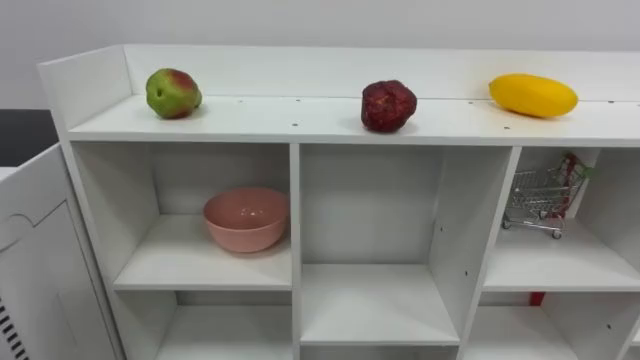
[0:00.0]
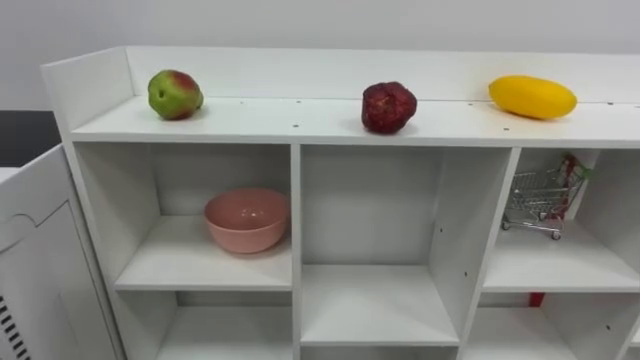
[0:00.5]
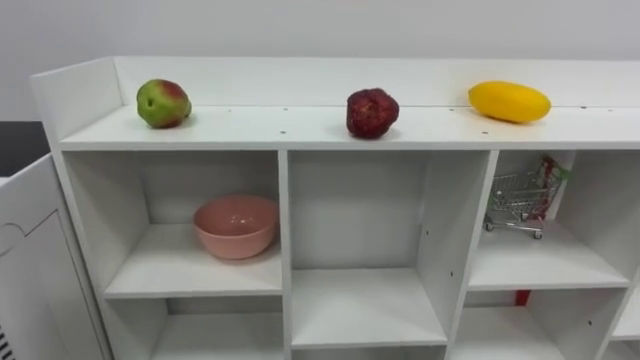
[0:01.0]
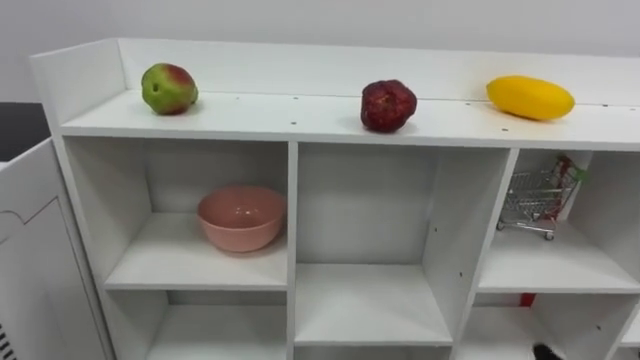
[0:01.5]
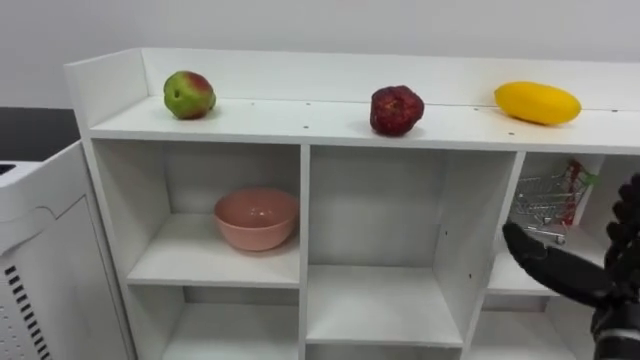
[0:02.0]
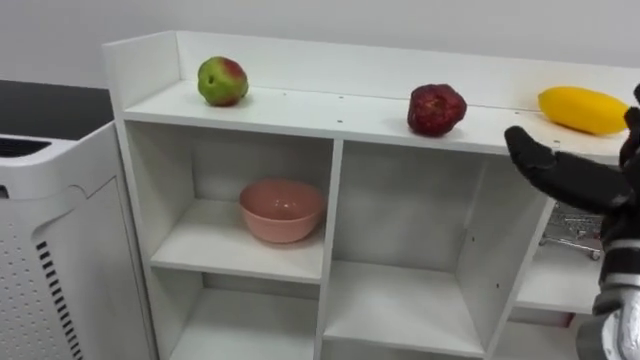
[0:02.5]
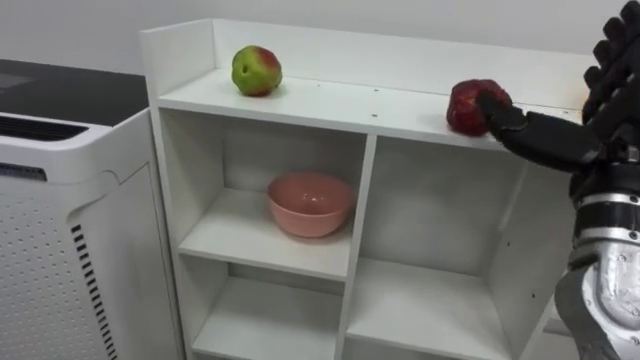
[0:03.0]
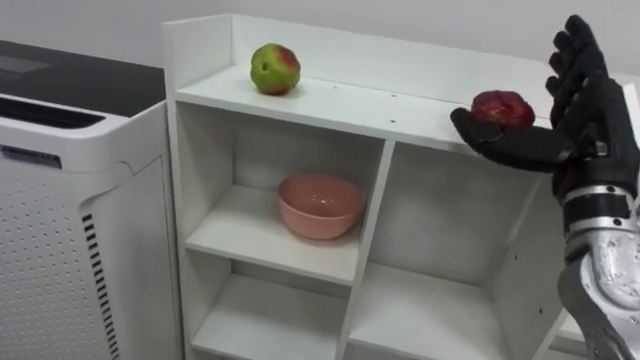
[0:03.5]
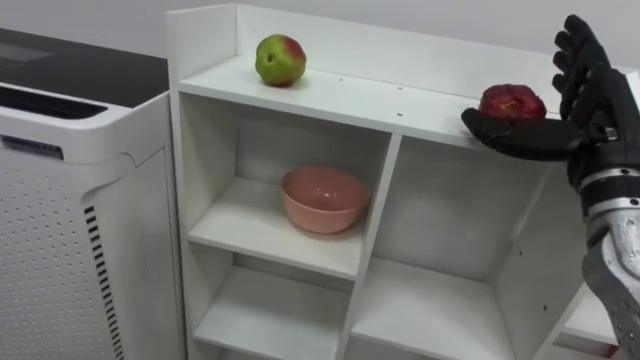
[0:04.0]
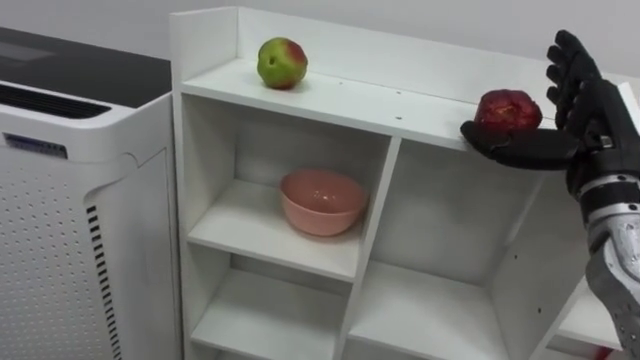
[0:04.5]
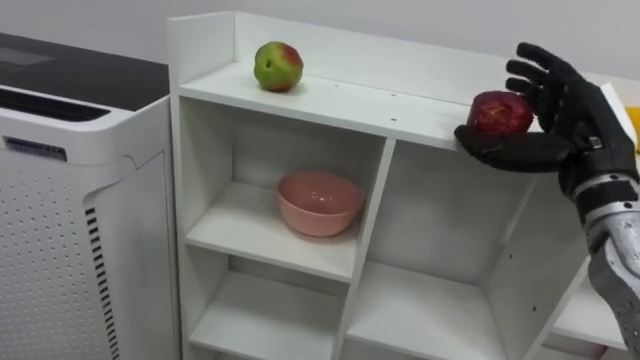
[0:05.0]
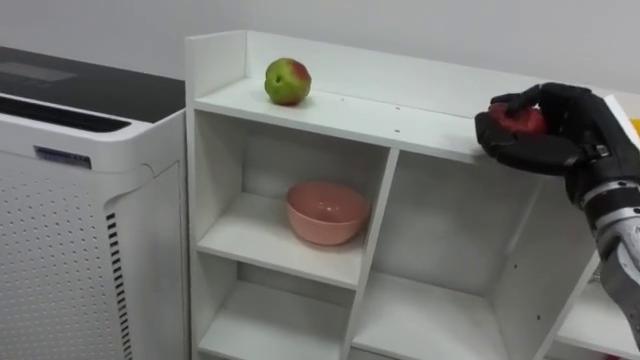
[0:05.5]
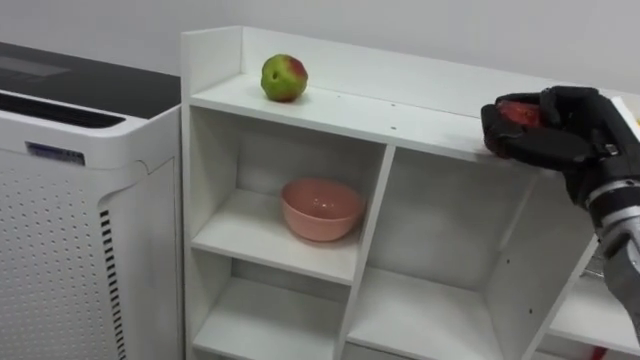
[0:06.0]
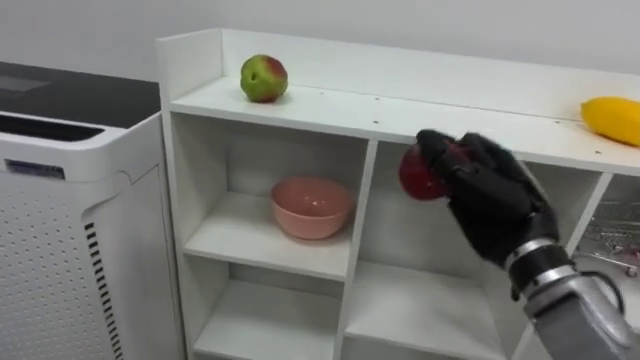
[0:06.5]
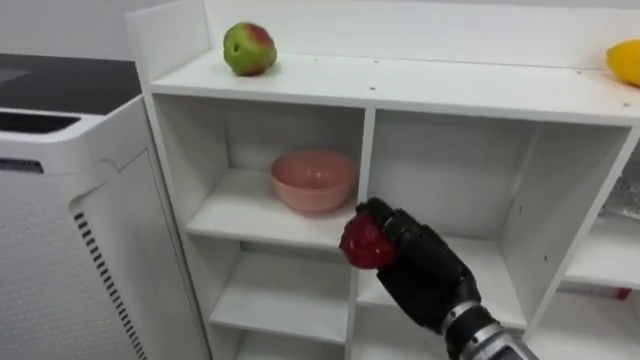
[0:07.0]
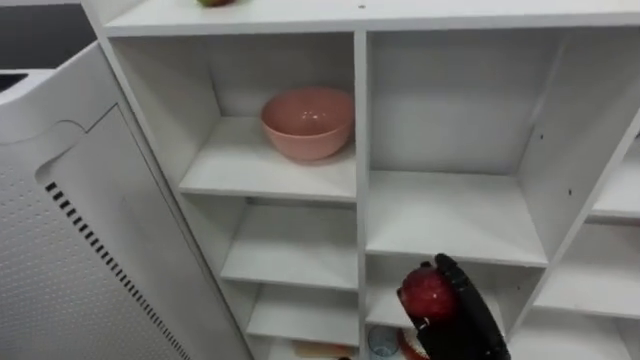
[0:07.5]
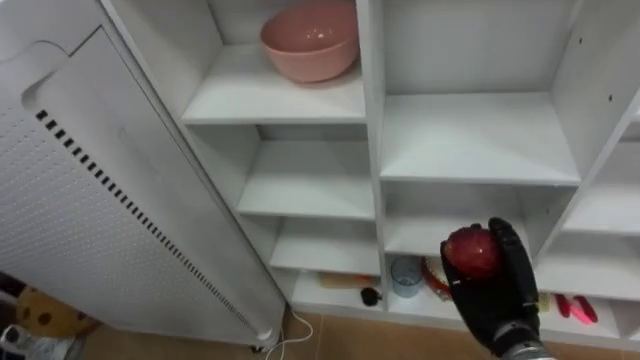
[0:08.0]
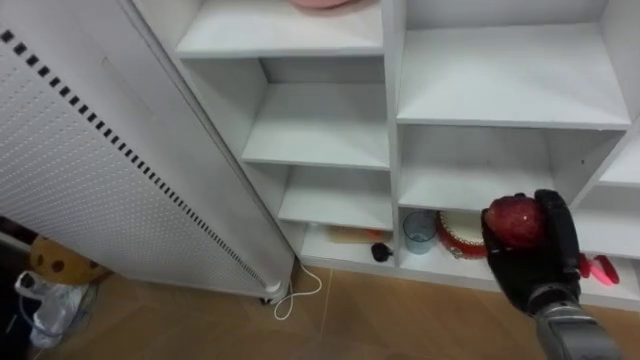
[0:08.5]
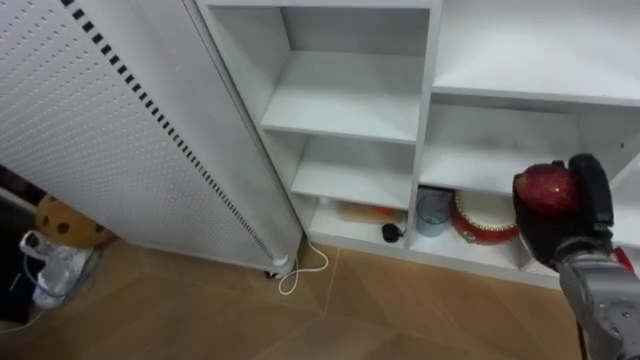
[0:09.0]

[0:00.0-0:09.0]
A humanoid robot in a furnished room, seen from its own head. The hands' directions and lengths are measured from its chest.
Task of the whole recording: Put the apple in the cell in the second column from the left and the second row from the top.
0:02.0 to 0:04.5: The right hand goes roughly 15 cm upward and forward.
0:04.5 to 0:07.0: The right hand heads to the left and downward, covering some 20 cm, and closes its fingers.
0:07.0 to 0:09.0: The right hand heads to the right, covering roughly 15 cm.

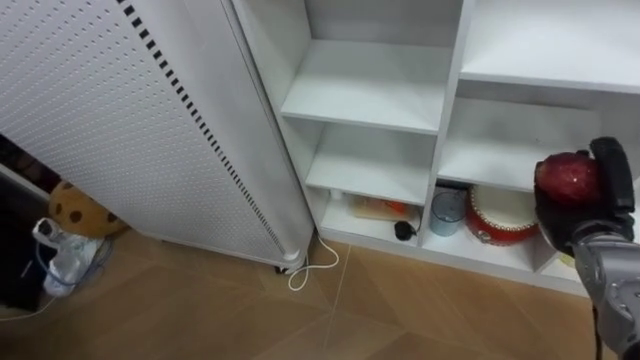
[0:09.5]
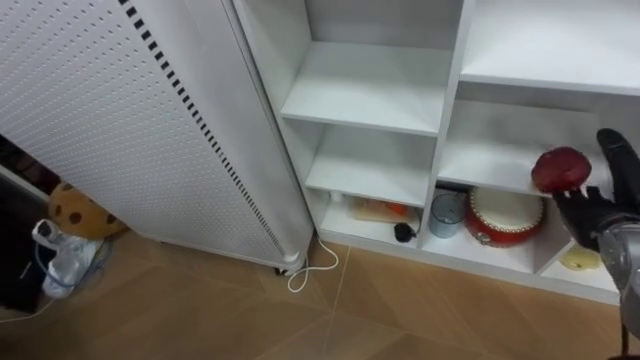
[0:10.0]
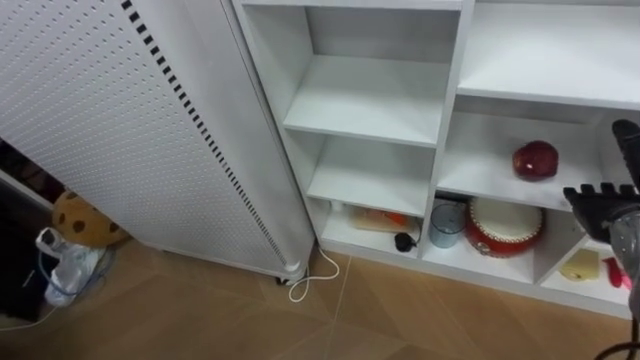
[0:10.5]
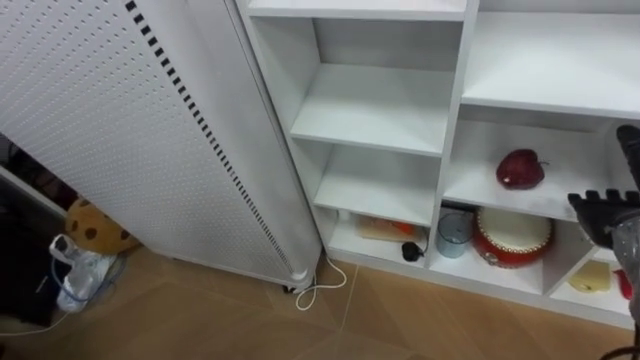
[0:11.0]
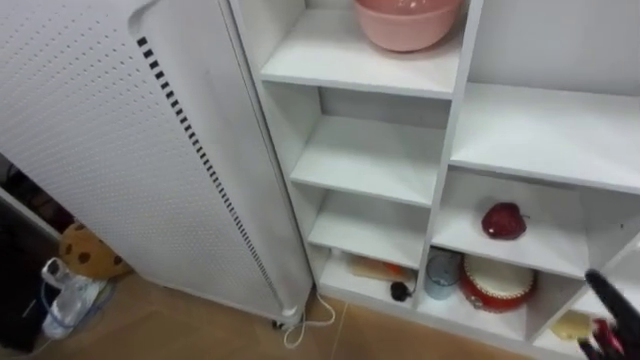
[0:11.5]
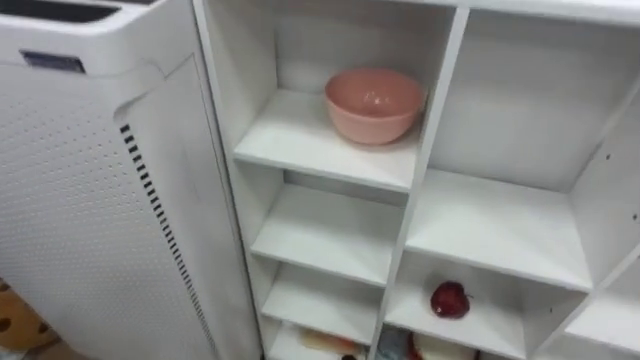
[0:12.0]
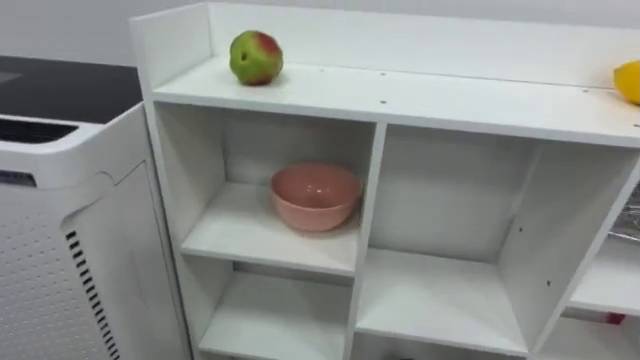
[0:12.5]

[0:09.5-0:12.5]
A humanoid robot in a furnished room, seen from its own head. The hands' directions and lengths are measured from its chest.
Task of the whole recording: Put the apple in the cell in the second column from the left and the second row from the top.
0:09.5 to 0:11.0: The right hand opens its fingers.

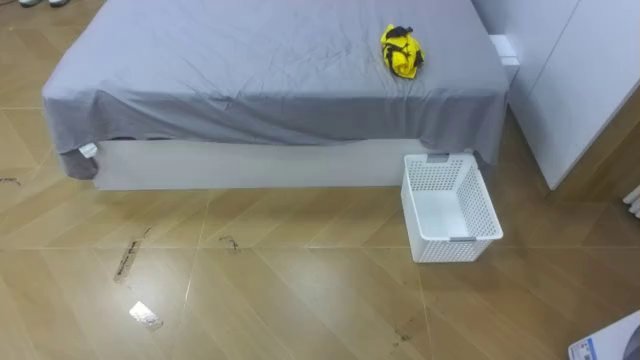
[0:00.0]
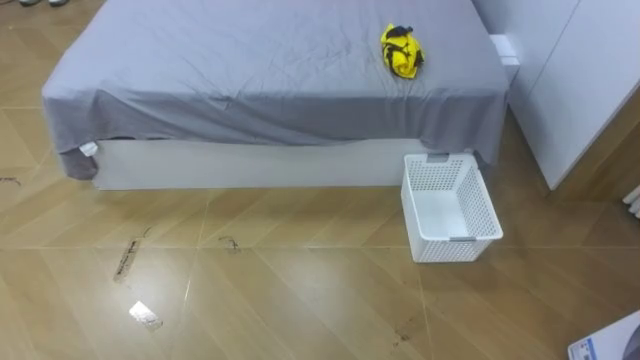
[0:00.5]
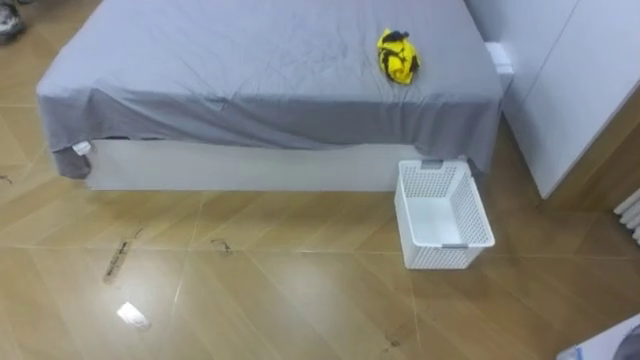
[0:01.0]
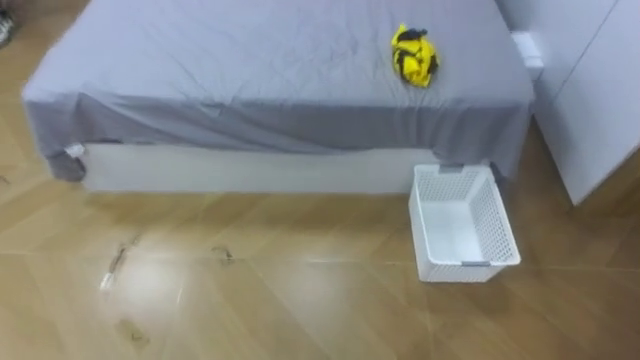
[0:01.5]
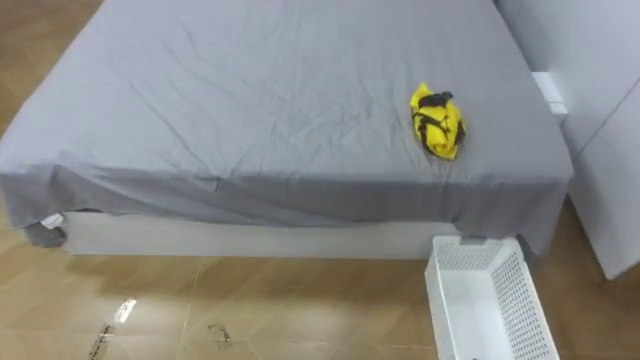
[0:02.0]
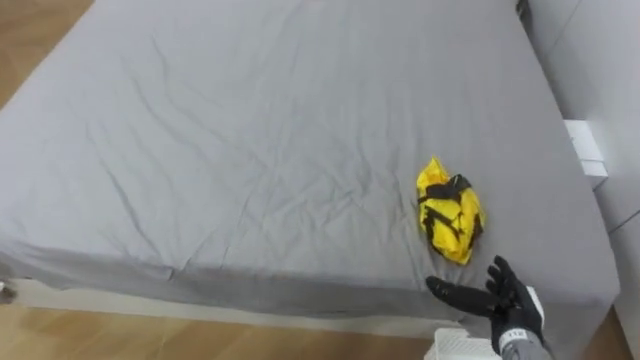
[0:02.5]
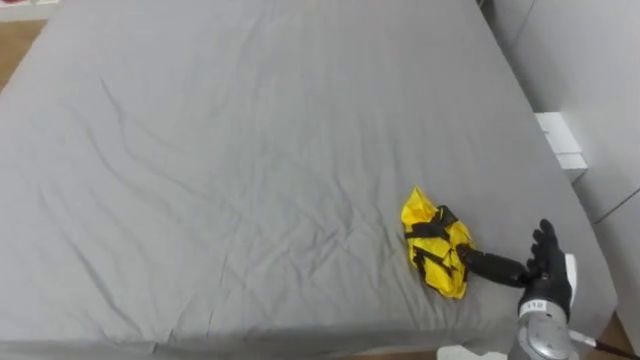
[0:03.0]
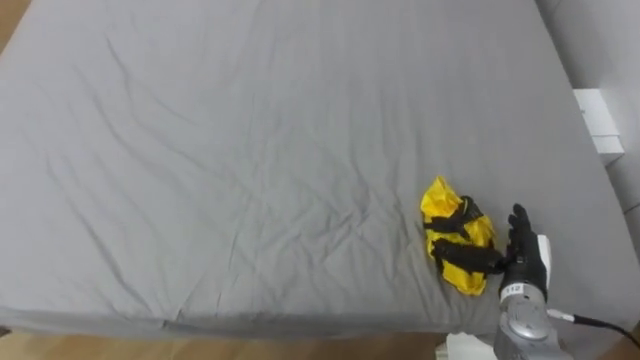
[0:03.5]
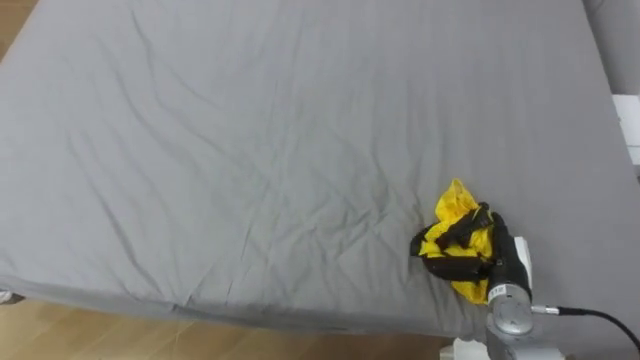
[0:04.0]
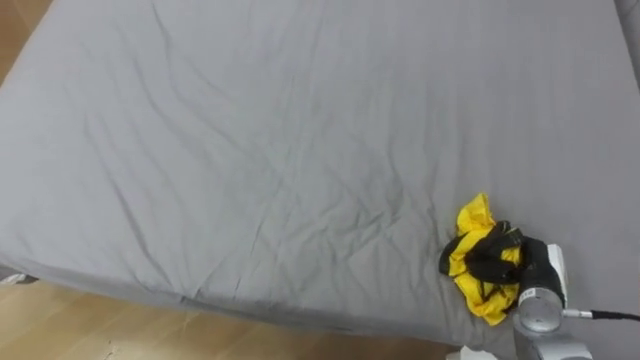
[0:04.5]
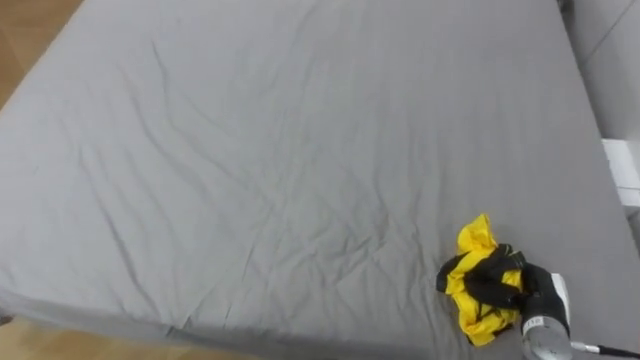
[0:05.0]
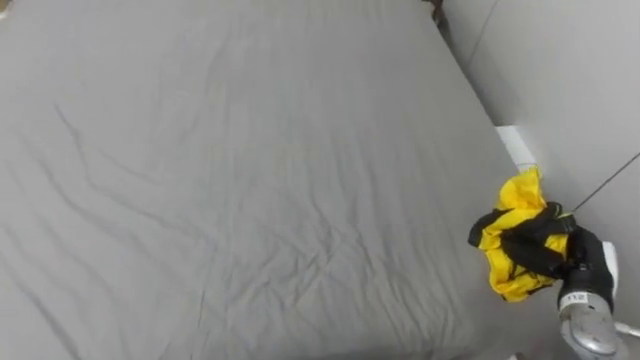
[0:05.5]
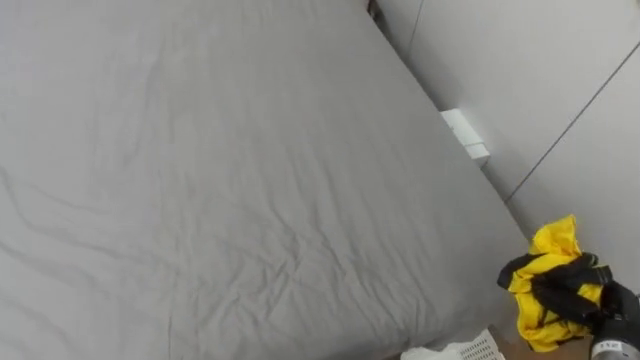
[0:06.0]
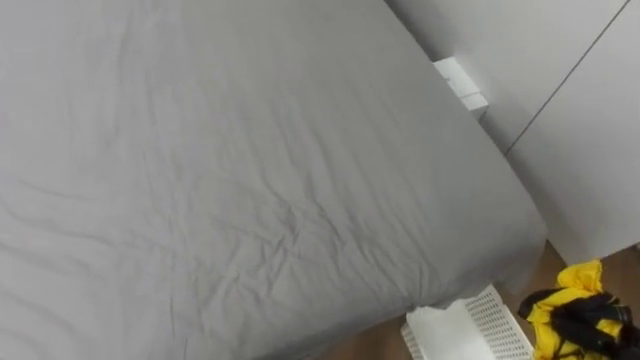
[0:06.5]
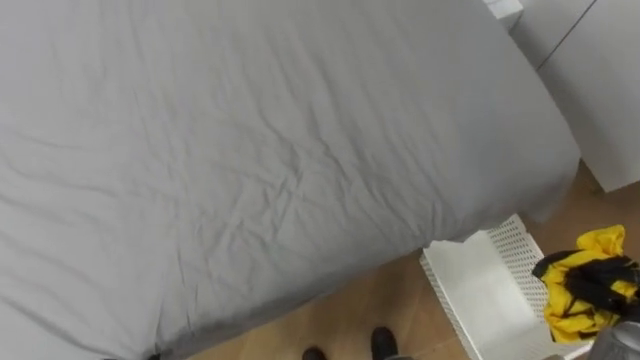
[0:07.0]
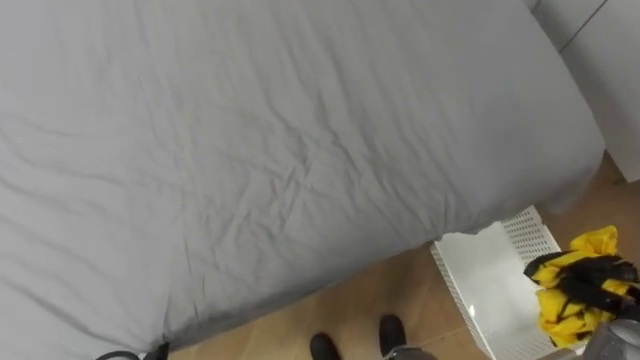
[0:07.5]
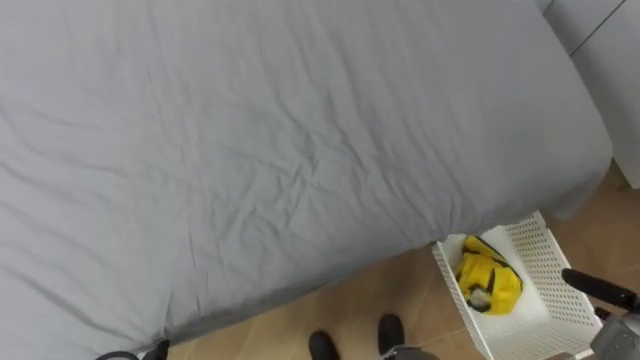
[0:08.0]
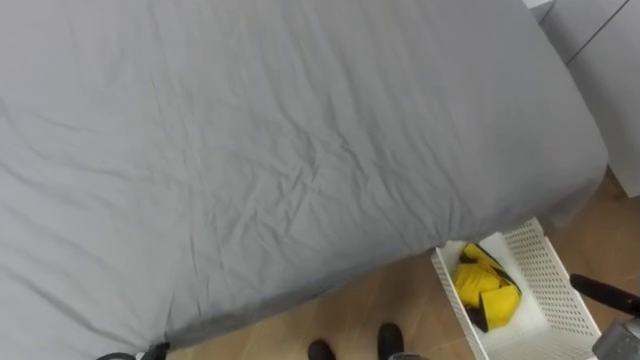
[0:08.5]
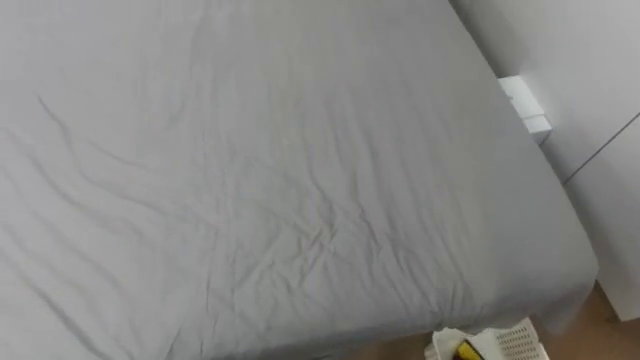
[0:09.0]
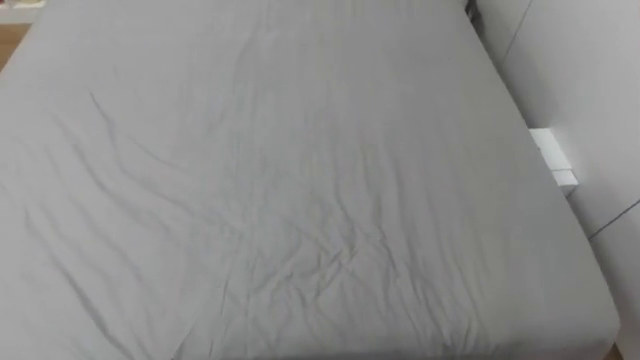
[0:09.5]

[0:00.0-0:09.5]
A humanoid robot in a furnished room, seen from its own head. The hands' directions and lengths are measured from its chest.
Task of the whole recording: Pick up the yellow clothes on the bed and place them into the white basket on the right.
0:04.0 to 0:05.5: The right hand heads to the right, covering some 10 cm, and closes up.
